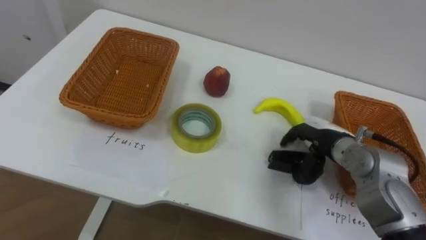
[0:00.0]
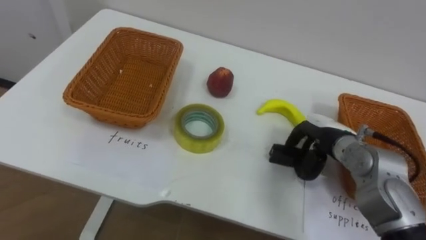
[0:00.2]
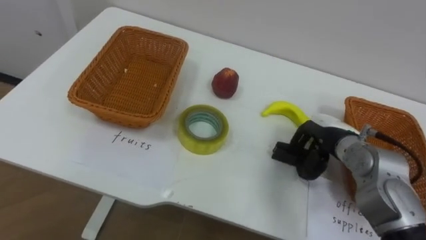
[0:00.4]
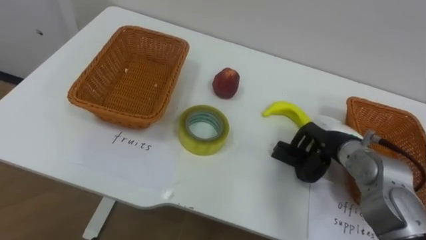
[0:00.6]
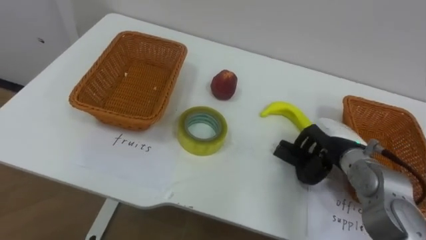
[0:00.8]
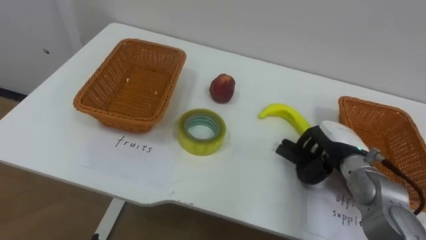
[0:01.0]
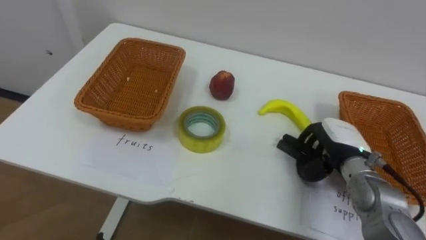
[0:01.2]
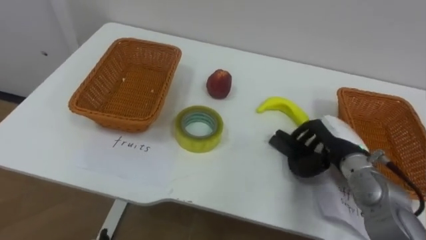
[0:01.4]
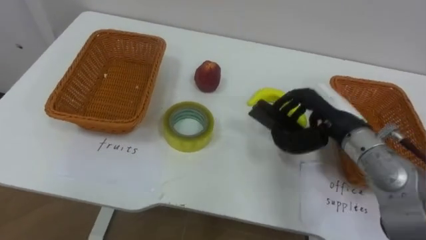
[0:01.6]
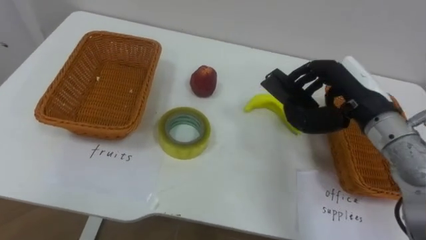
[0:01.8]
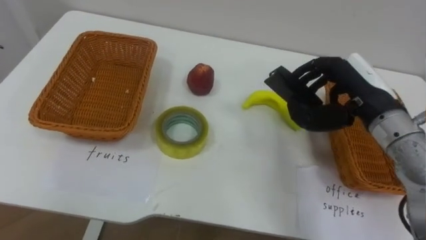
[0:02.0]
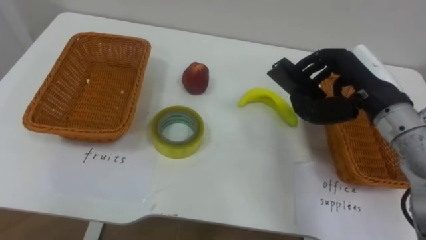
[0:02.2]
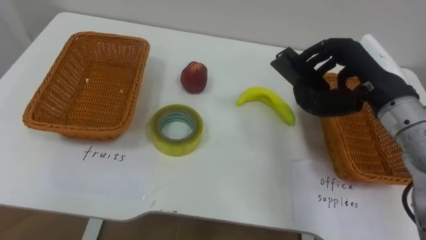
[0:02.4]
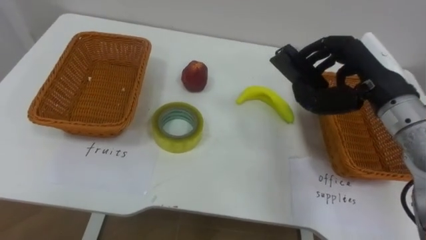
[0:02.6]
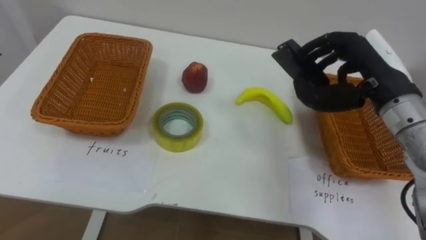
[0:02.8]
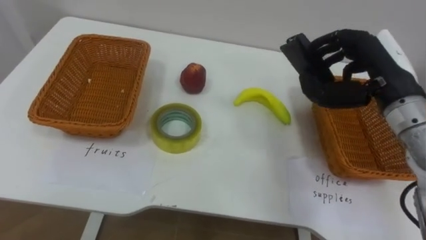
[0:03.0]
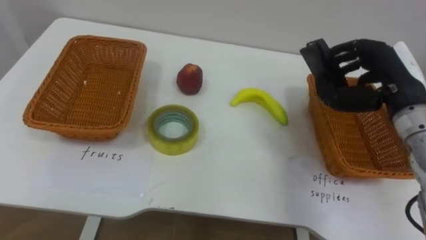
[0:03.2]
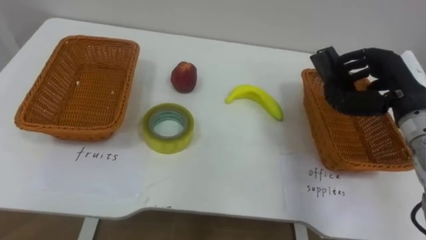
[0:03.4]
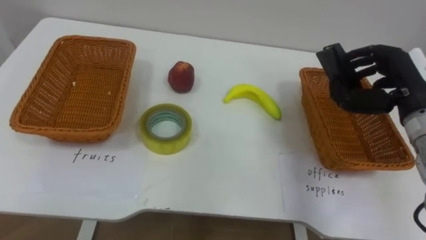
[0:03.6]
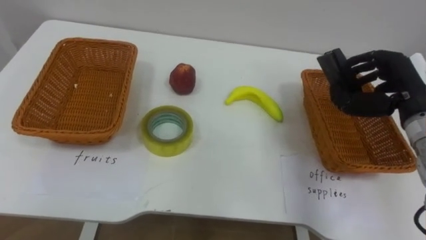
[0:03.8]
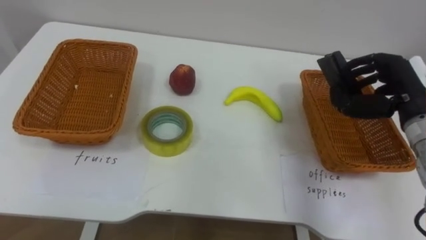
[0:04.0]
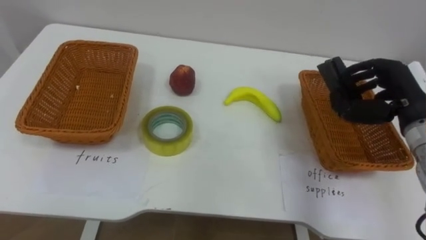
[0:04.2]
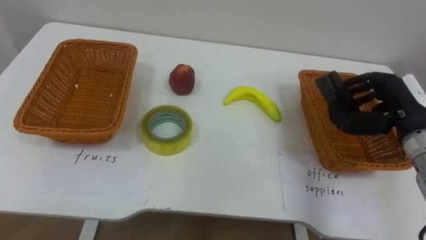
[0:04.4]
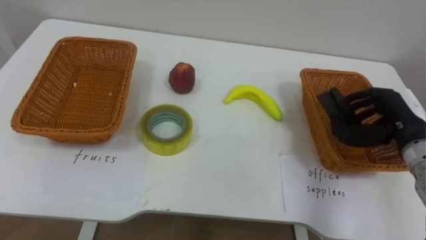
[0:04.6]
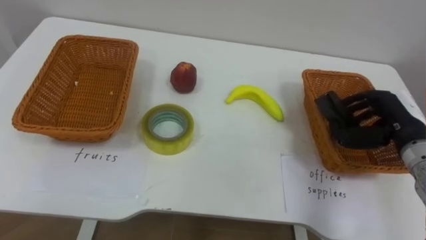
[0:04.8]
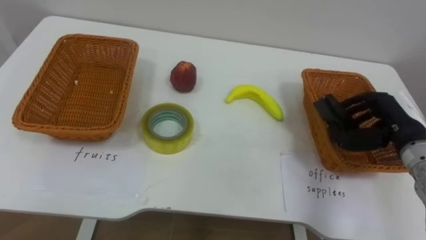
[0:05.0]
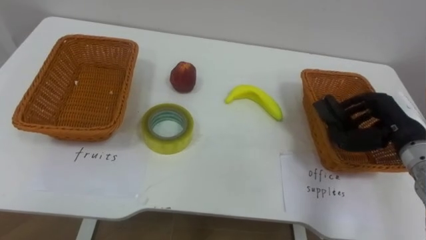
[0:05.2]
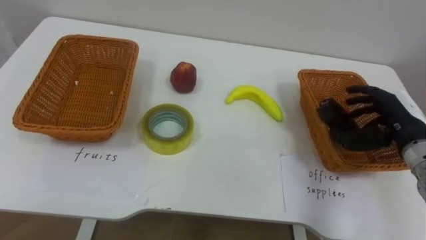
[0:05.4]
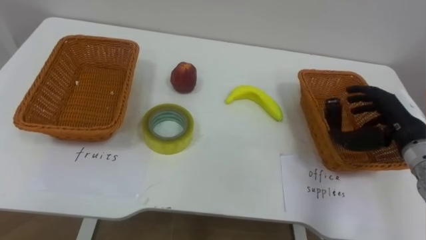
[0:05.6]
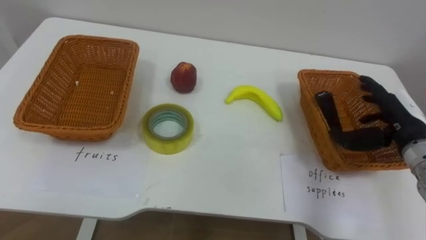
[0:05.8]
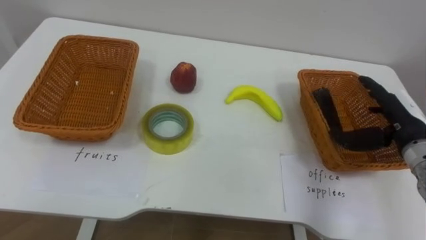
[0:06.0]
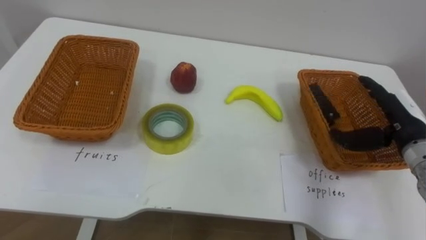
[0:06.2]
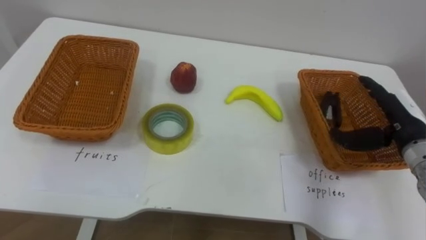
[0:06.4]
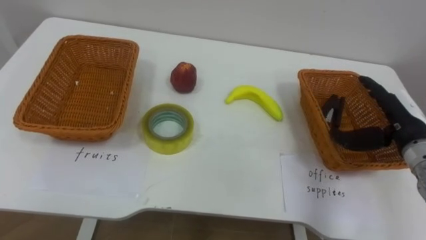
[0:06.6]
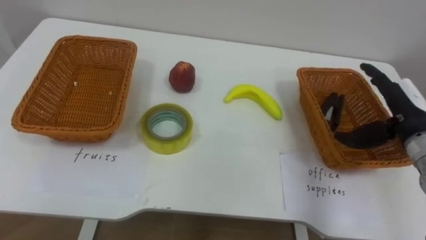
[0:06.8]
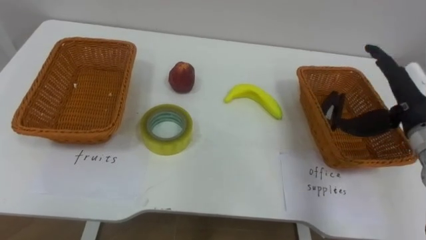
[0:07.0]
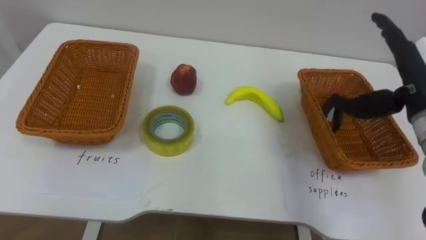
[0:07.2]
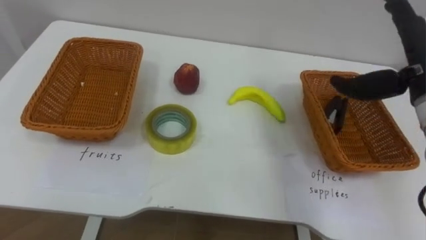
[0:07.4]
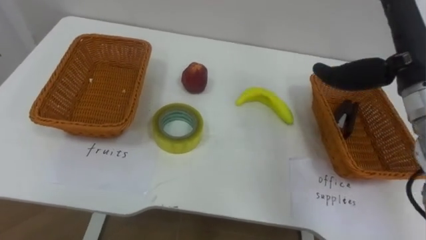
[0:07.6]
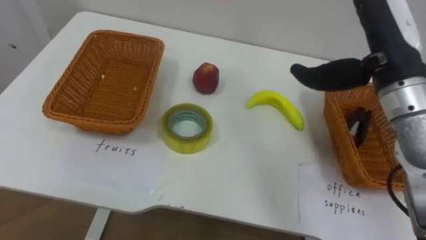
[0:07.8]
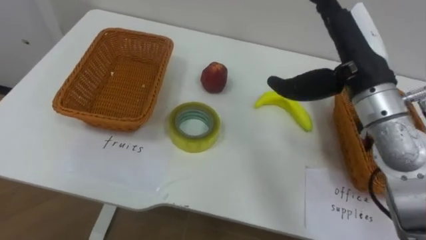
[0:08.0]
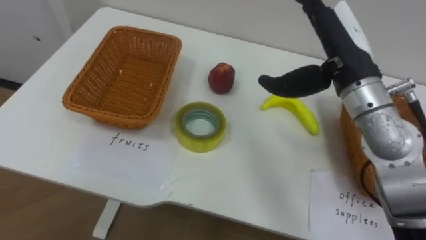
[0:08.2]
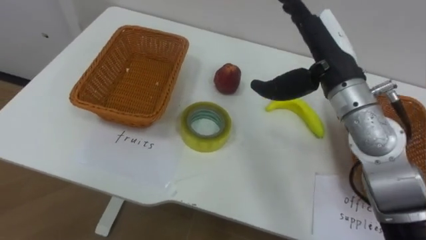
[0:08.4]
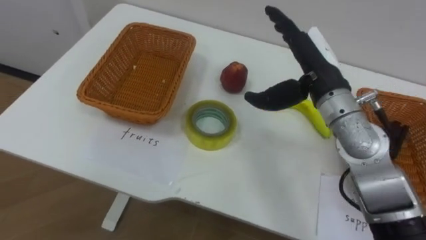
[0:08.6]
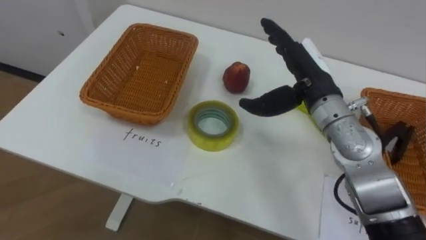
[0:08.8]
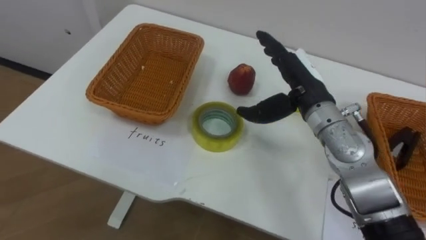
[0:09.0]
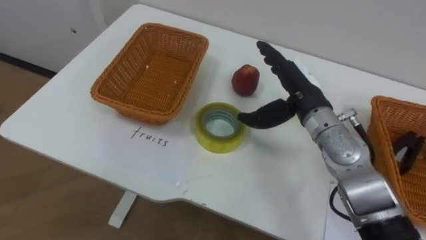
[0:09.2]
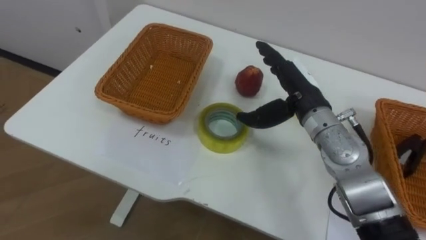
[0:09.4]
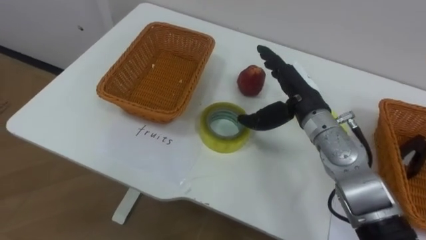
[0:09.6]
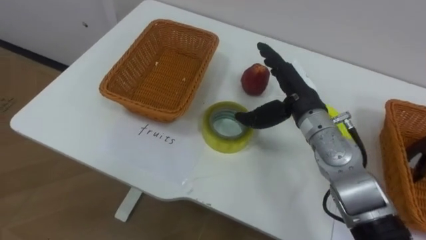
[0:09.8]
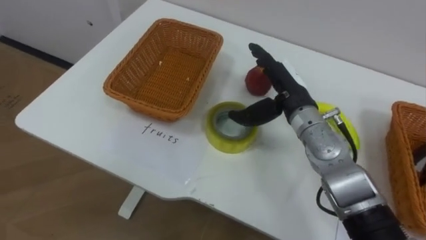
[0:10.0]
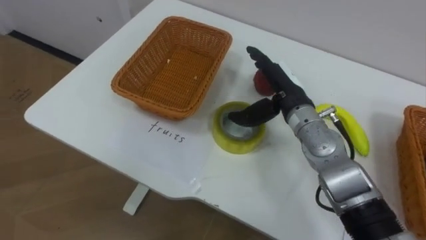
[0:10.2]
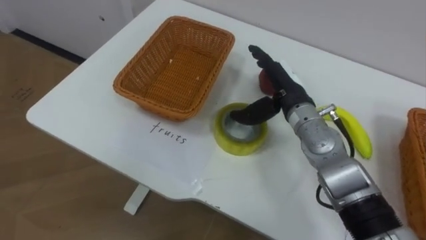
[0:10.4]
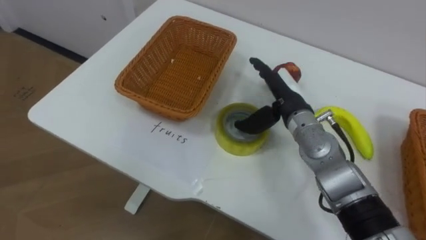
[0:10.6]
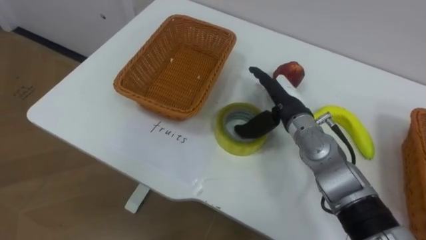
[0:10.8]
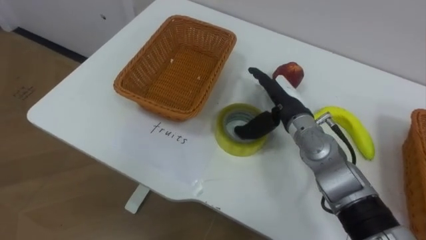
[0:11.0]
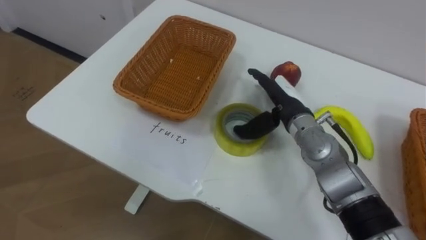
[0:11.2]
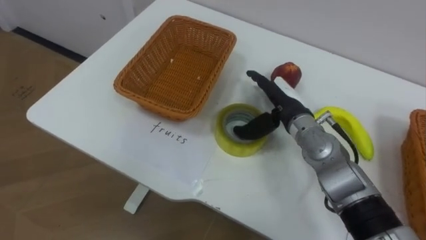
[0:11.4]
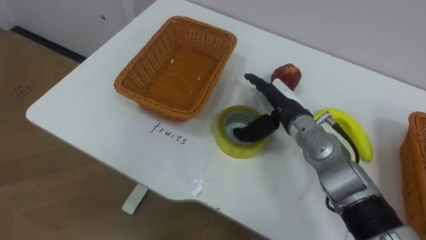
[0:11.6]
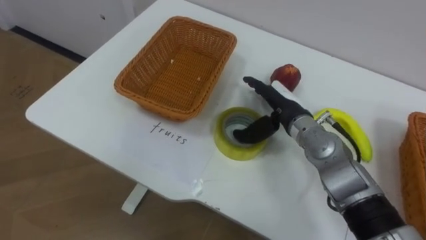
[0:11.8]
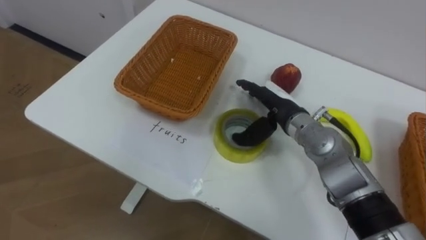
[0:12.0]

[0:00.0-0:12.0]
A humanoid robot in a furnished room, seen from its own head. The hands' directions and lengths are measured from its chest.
Task of the whole recording: Separate the items on the table and place them into the two baskets.
0:00.0 to 0:01.6: The right hand travels upward by about 5 cm, and closes up.
0:01.6 to 0:03.0: The right hand travels upward by approximately 10 cm.
0:03.0 to 0:04.4: The right hand moves downward and to the right, approximately 10 cm.
0:04.4 to 0:06.0: The right hand opens.
0:06.0 to 0:07.6: The right hand goes roughly 15 cm upward and to the left.
0:07.6 to 0:09.0: The right hand moves to the left and downward, some 15 cm.

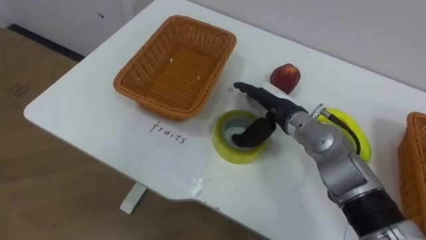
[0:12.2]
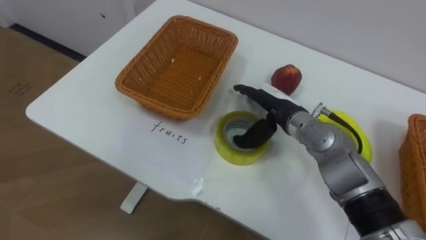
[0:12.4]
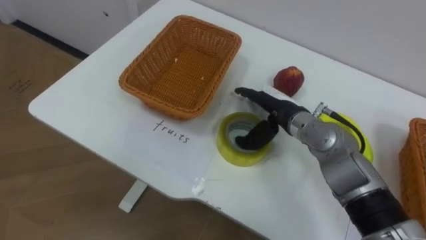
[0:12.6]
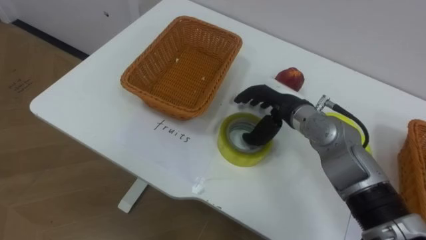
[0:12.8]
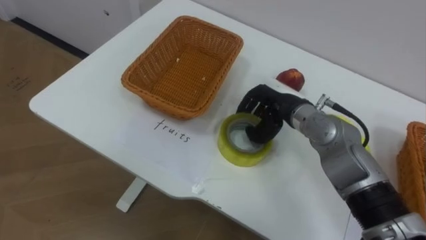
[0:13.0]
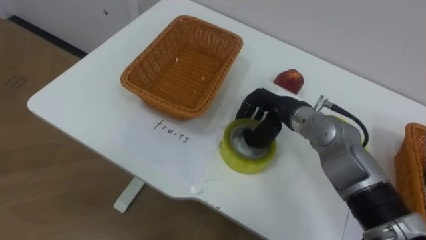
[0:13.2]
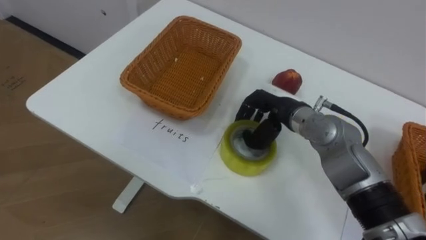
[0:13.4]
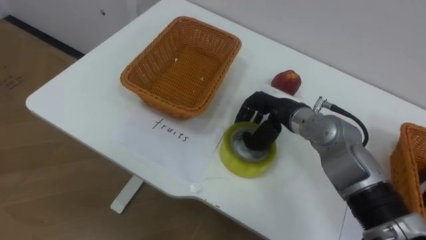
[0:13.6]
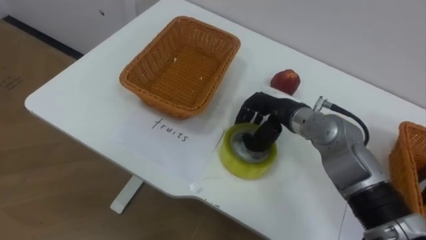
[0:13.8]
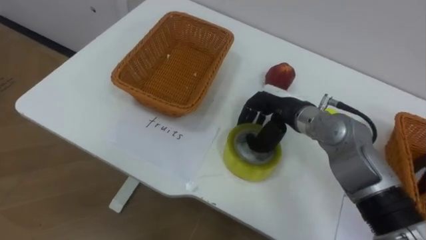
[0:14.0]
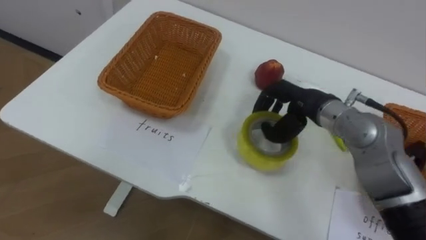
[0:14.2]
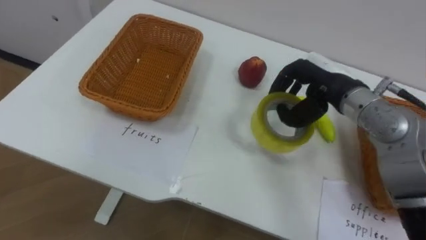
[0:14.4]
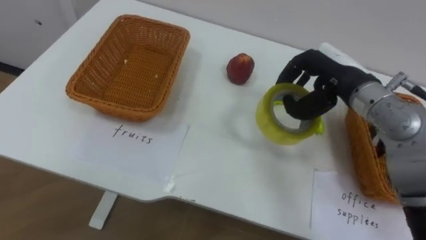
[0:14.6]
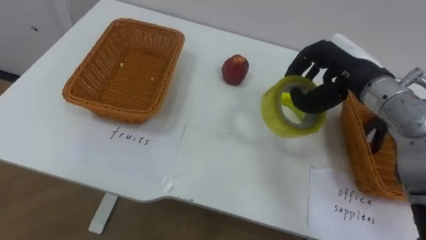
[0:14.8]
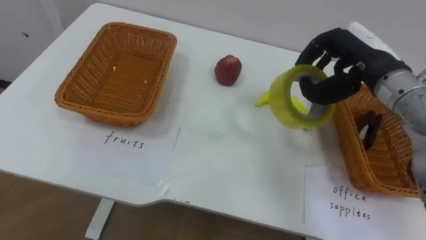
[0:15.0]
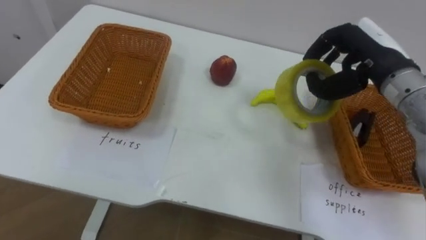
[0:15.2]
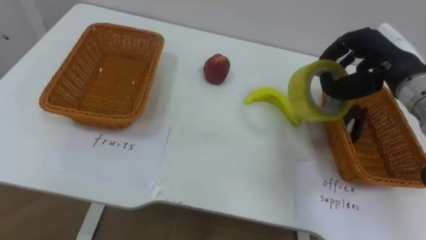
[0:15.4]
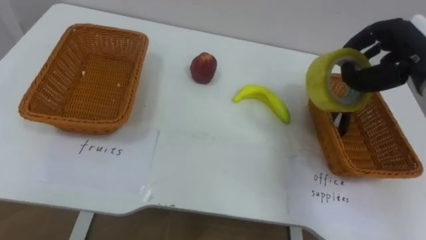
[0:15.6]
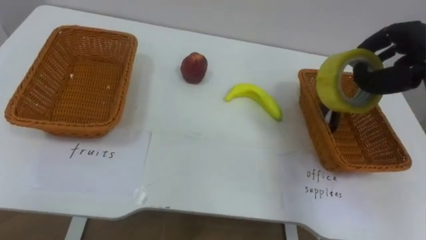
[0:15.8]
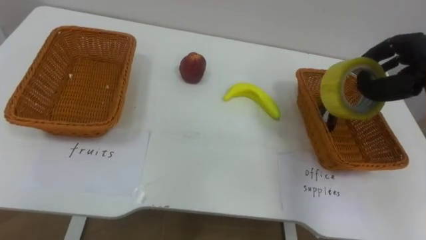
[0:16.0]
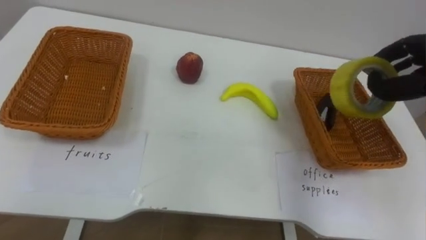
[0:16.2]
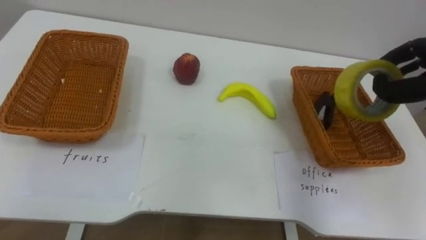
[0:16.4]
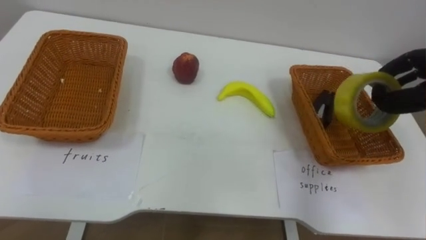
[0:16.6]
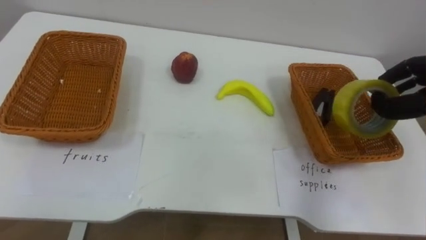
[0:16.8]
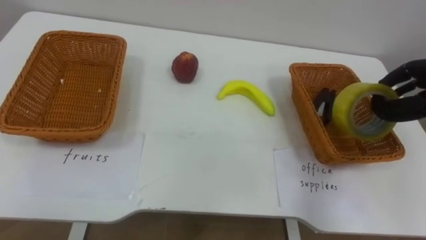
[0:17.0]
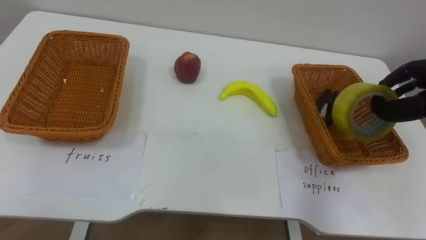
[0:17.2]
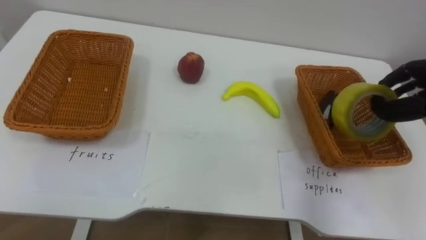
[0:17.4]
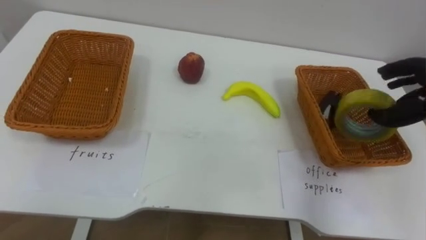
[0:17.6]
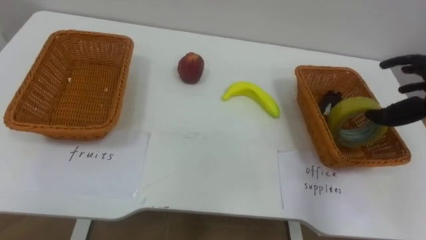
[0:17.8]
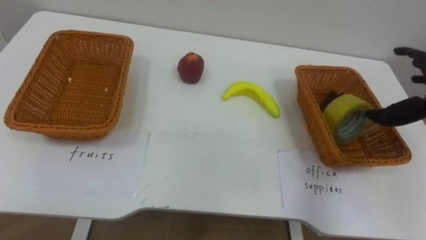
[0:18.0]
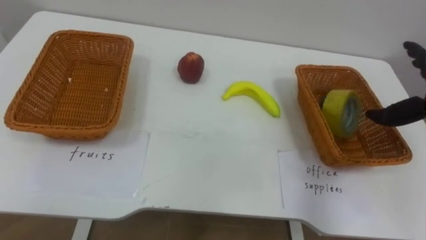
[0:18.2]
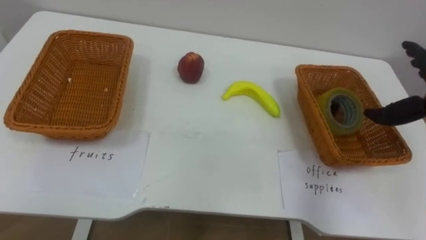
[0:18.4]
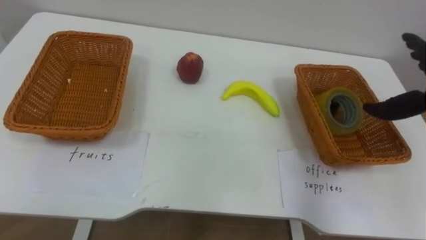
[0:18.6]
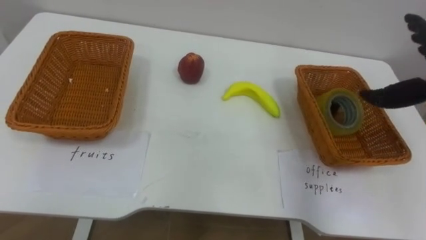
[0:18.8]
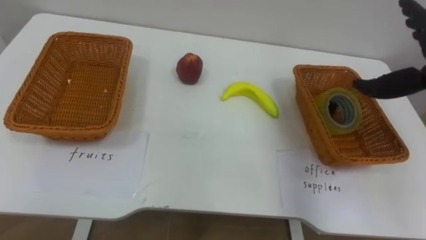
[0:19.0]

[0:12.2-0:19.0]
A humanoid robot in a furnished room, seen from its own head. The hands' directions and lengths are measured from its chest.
Task of the whole recording: Separate the items on the table and place them into the two baskets.
0:12.2 to 0:13.6: The right hand closes its fingers.
0:13.6 to 0:15.0: The right hand heads upward and to the right, covering some 15 cm.
